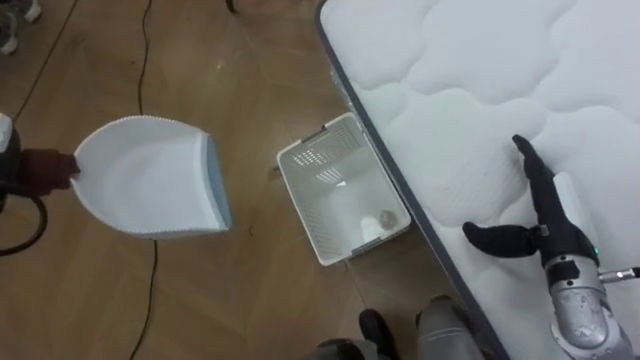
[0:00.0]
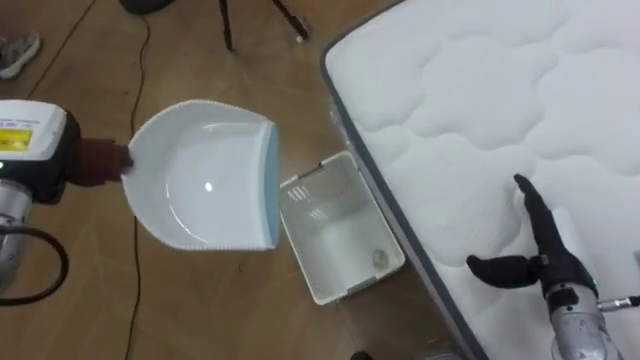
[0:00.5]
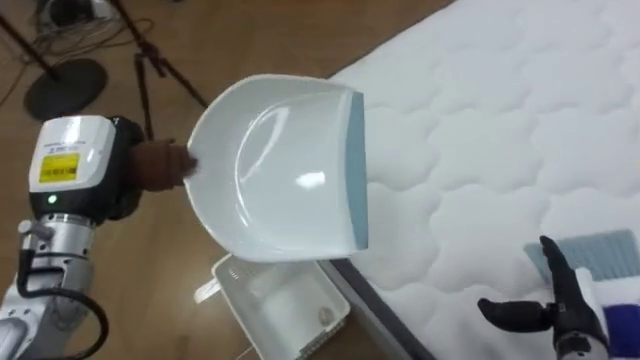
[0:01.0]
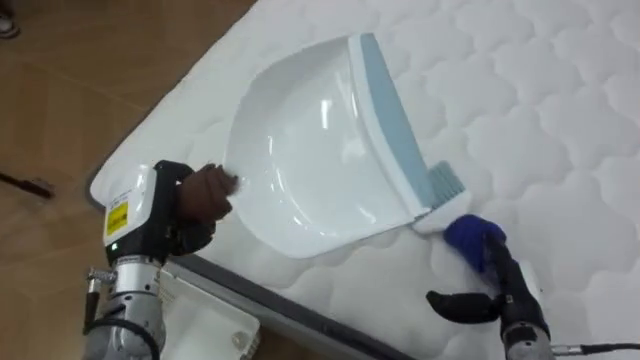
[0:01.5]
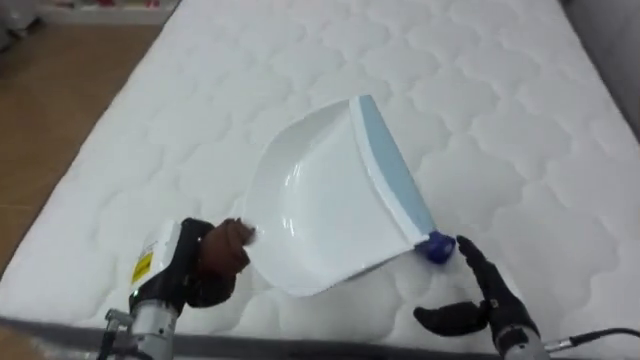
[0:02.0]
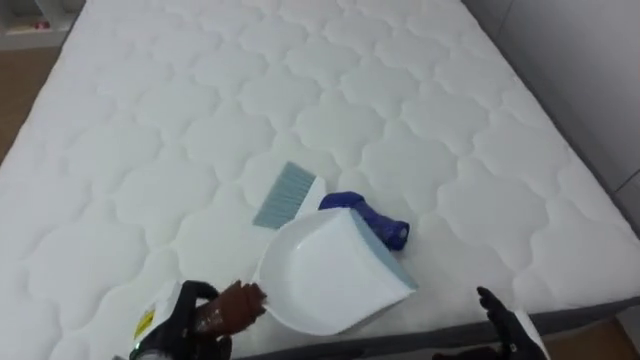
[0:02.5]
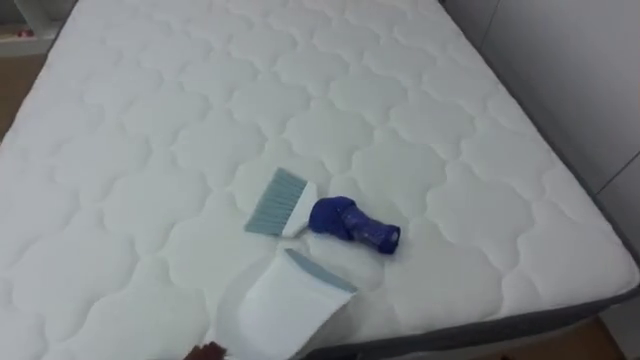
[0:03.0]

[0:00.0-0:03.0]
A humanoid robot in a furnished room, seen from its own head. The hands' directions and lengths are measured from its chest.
Task of the whole recording: Pick up the brush on your right and the dustpan on your left. Use the brush to sweep the crumpled paper on the bed into the dustpan, then turn left and empty it into the basket.
0:00.0 to 0:01.5: The robot's body swings about 60 degrees to its right. The right hand travels downward and backward by approximately 10 cm.
0:01.5 to 0:03.0: The robot rotates some 35 degrees to its right.

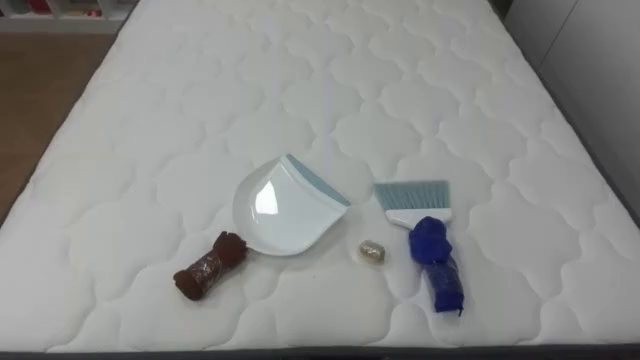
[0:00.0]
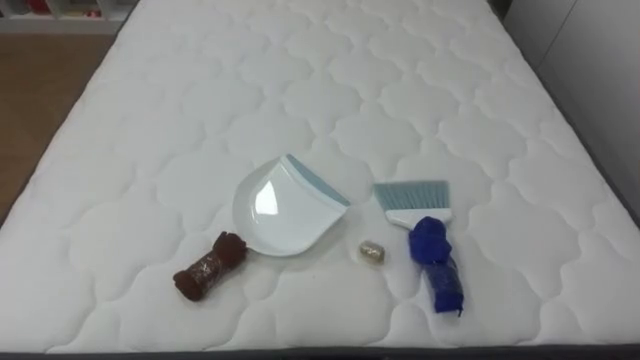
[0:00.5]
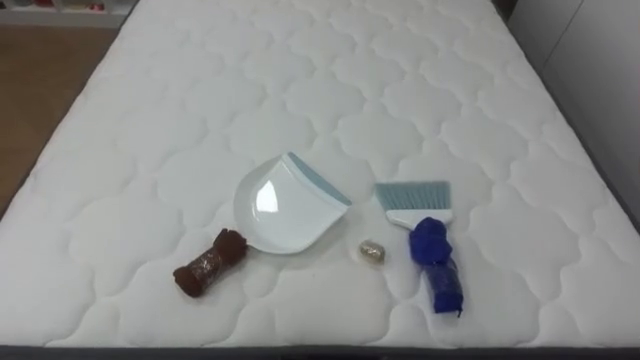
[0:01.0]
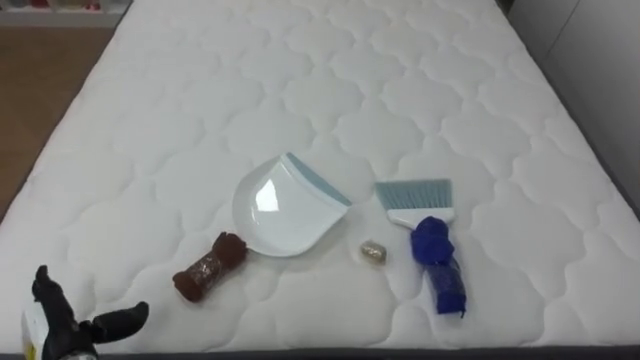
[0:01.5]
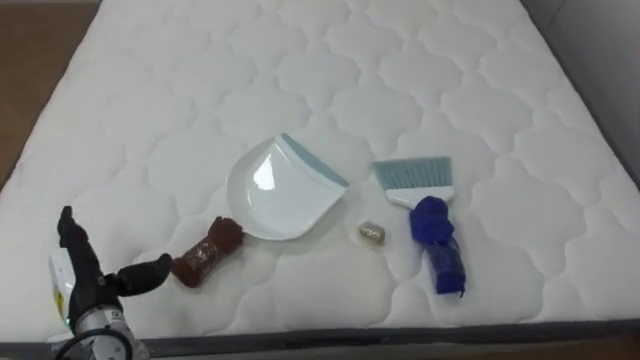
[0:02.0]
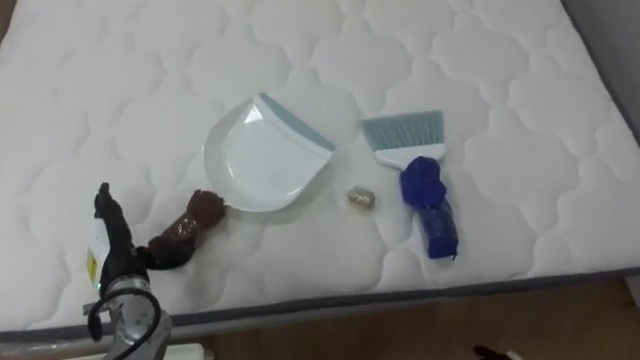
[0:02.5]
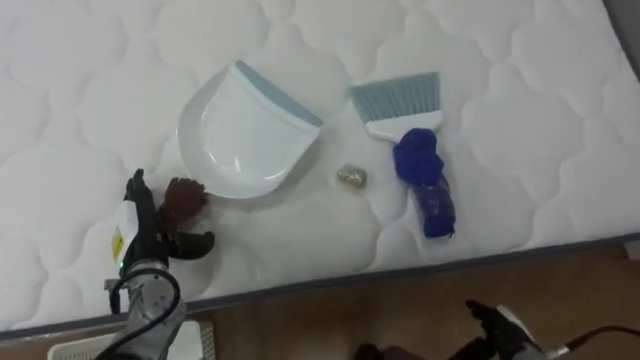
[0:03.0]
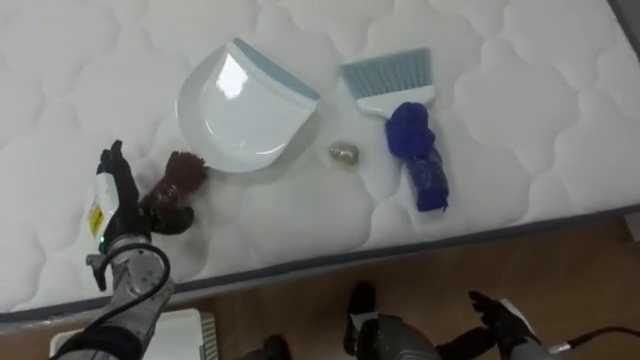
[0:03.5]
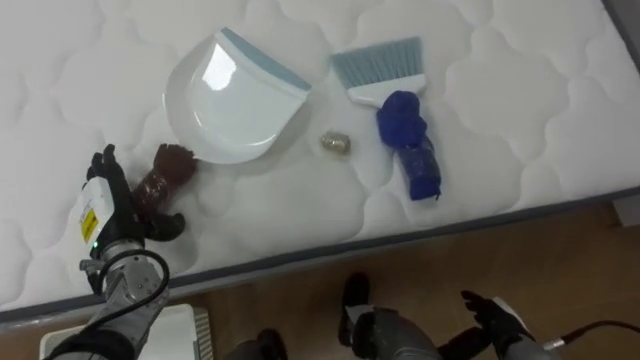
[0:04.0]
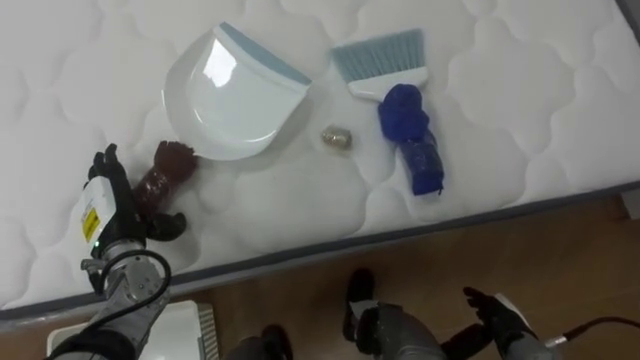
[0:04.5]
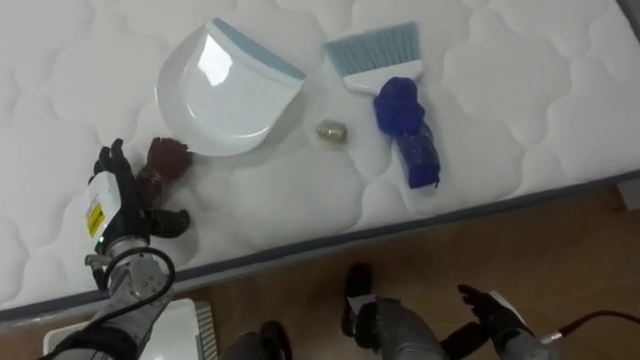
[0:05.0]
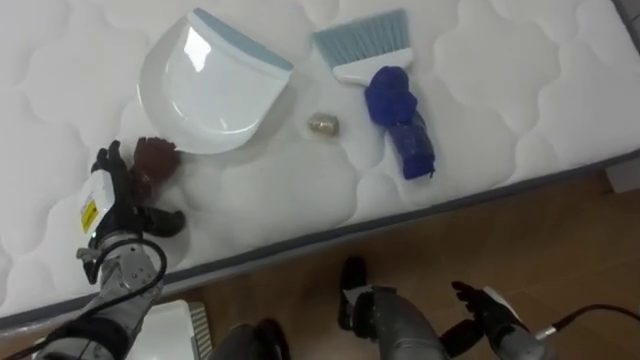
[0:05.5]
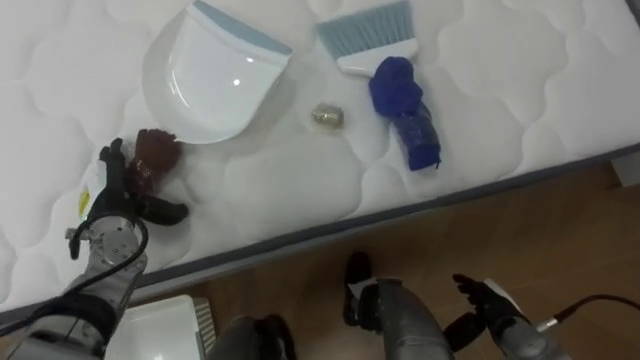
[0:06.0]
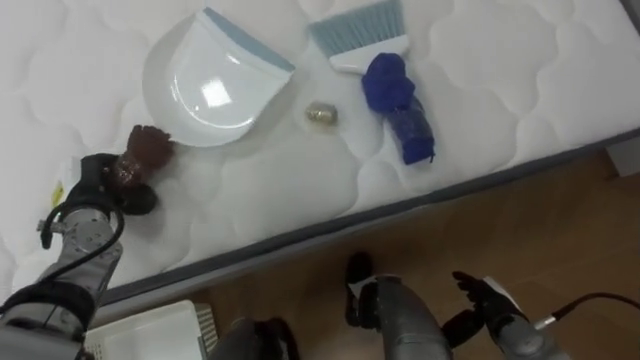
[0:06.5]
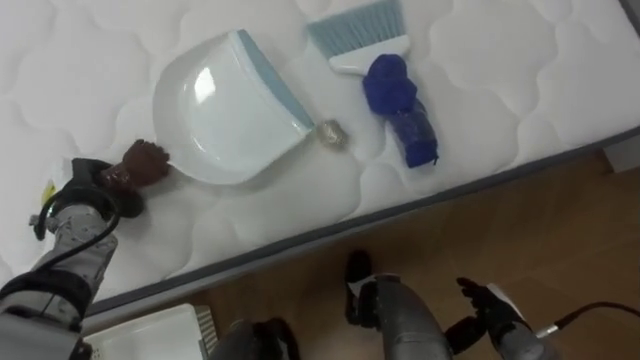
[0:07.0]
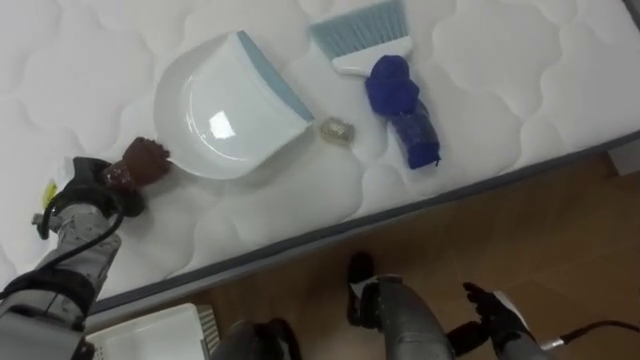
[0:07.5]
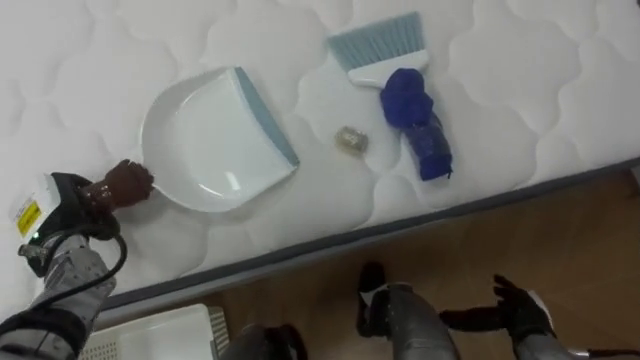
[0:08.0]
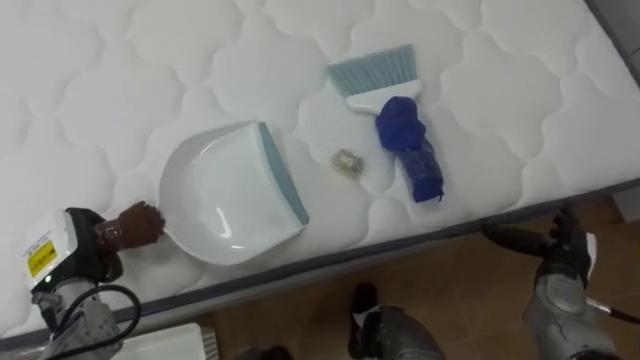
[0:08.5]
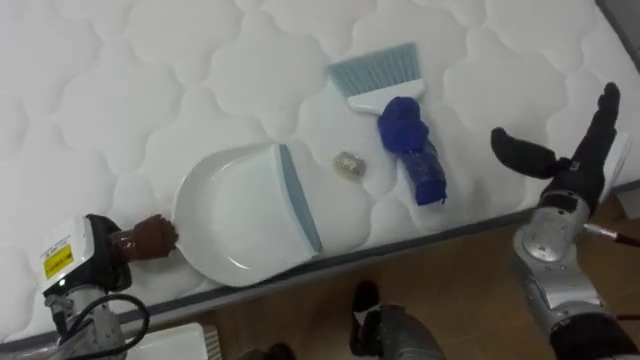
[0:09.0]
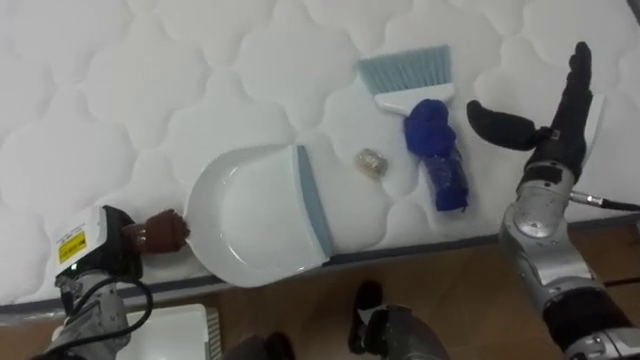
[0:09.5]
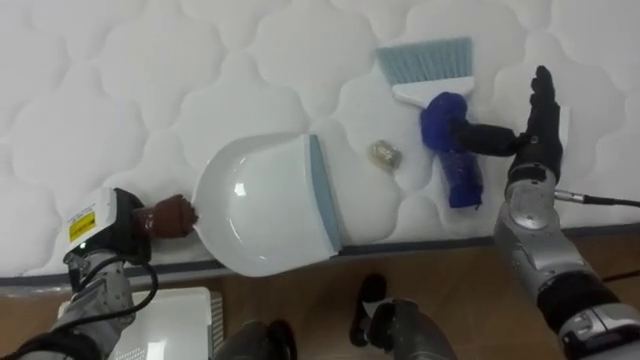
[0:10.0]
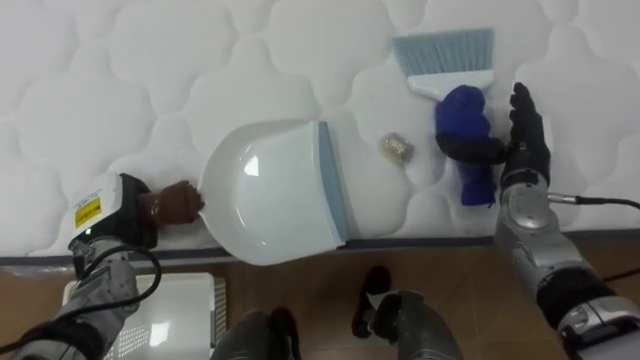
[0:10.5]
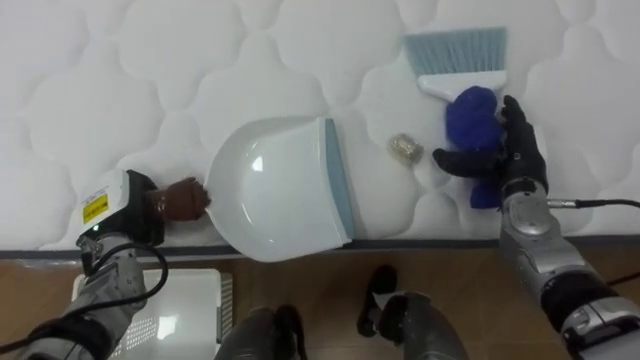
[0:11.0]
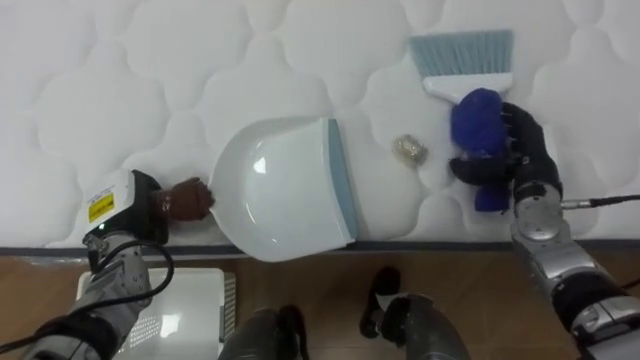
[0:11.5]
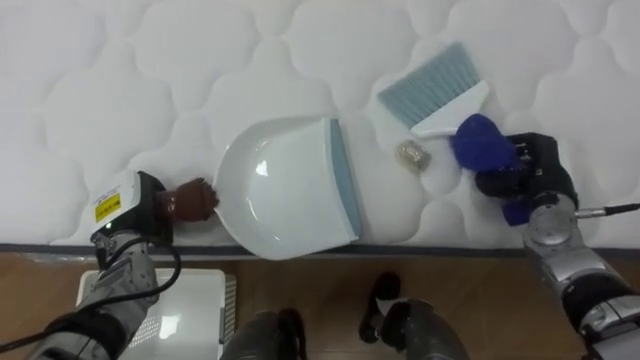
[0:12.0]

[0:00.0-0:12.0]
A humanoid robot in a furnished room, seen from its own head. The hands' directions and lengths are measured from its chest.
Task of the whole recording: Pick up the brush on your right and the dustpan on your left. Use the brush to sweep the crumpled paper on the bed into the dustpan, then turn left and empty it into the basket.
0:02.0 to 0:04.0: The left hand heads forward, covering roughly 10 cm.
0:06.0 to 0:08.0: The left hand moves to the left, about 5 cm, and closes.
0:08.0 to 0:10.0: The right hand is displaced upward and forward by roughly 25 cm, while the left hand changes place by some 5 cm.
0:10.0 to 0:12.0: The right hand shifts roughly 5 cm downward, and closes up.

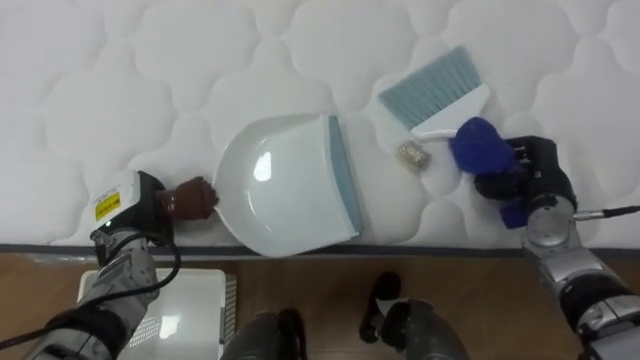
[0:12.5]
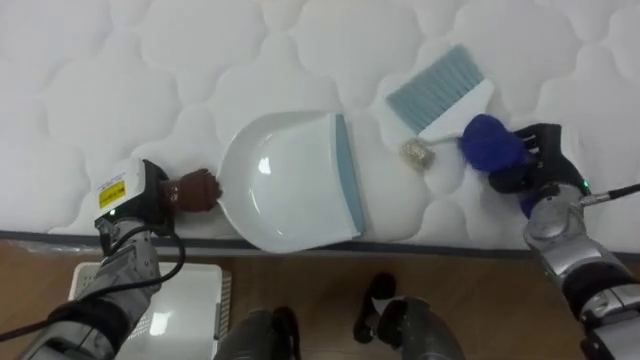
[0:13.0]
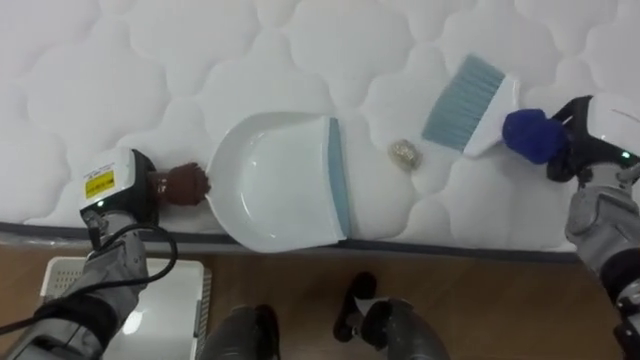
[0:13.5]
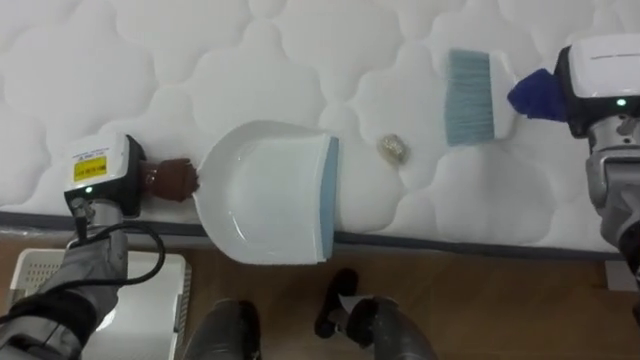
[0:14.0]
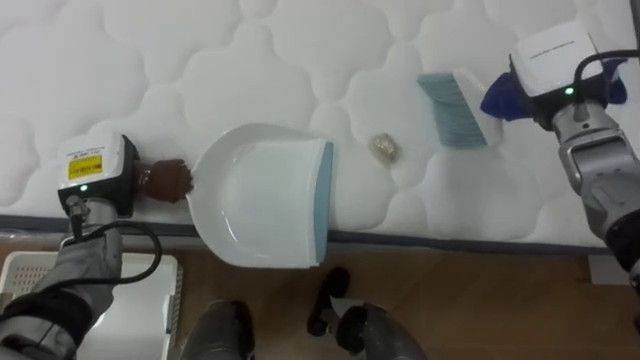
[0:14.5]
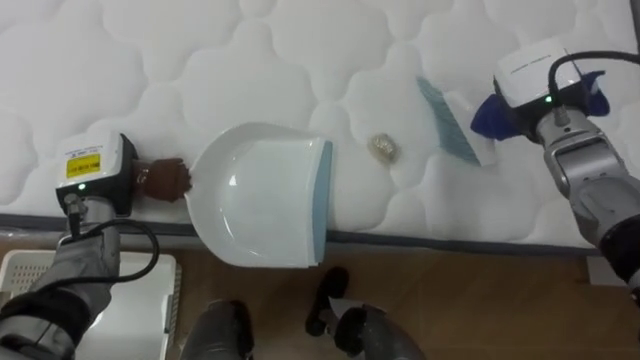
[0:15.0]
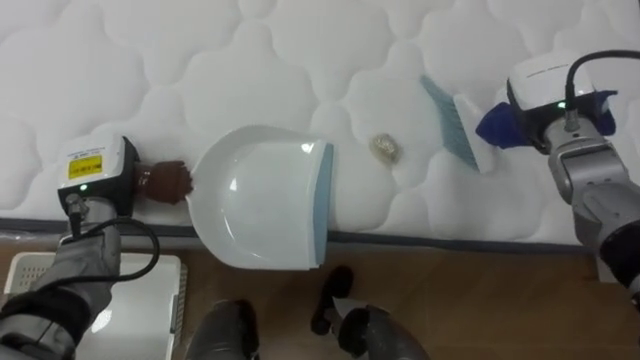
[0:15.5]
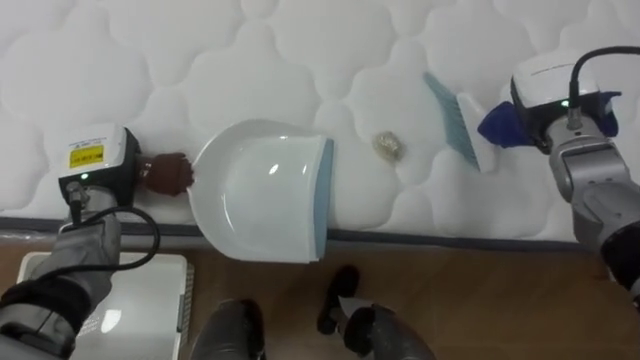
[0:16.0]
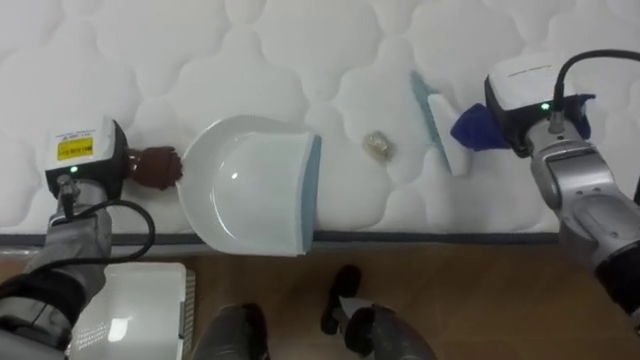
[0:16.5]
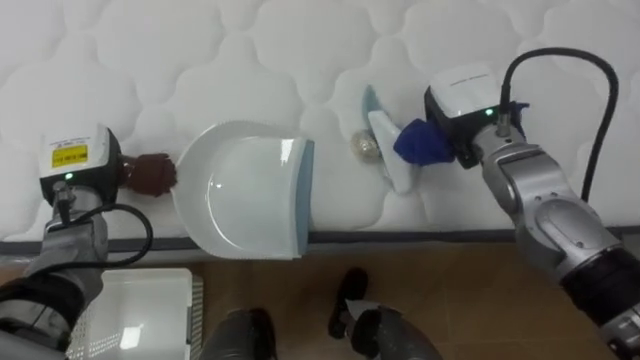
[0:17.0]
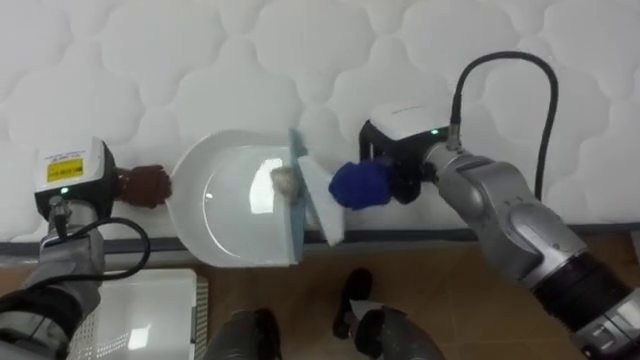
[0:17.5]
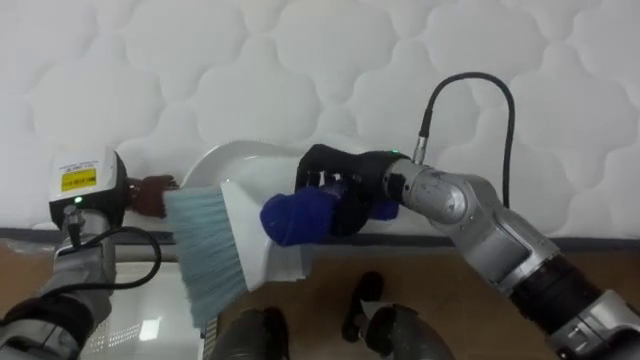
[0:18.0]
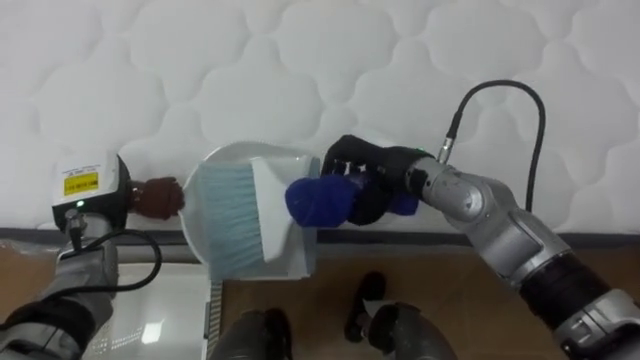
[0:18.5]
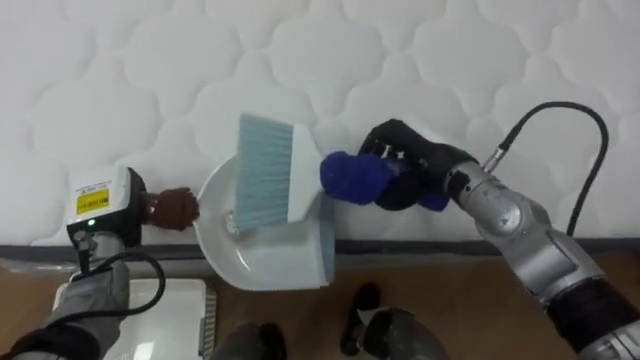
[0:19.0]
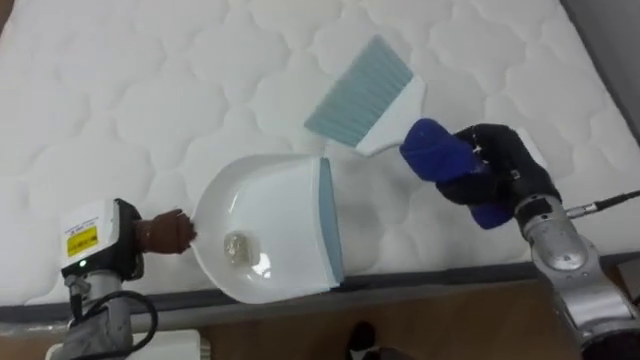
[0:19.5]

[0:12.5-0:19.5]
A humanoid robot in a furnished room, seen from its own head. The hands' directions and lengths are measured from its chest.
Task of the whole recording: Pick up the brush on your right and the dustpan on your left. Use the brush to sweep the crumpled paper on the bed into the dustpan, then turn left and empty it into the basket.
0:12.5 to 0:14.5: The right hand goes some 15 cm upward and forward, while the left hand goes about 5 cm upward.
0:16.0 to 0:17.5: The right hand goes approximately 15 cm to the left.
0:17.5 to 0:19.5: The right hand goes some 15 cm to the right. The left hand travels backward and downward by roughly 10 cm.
